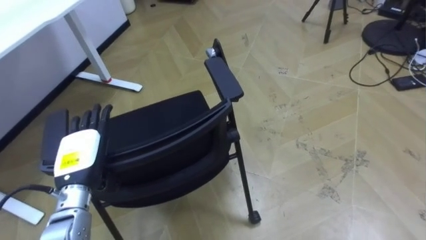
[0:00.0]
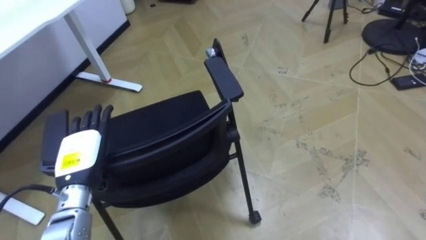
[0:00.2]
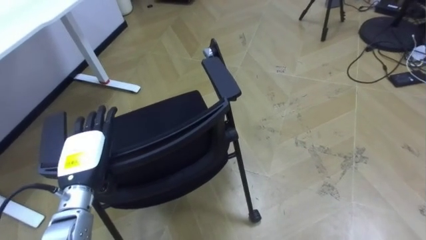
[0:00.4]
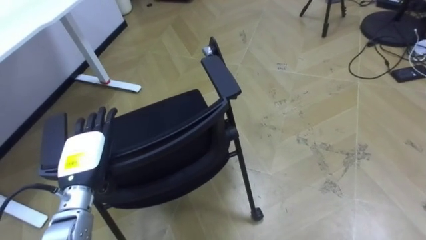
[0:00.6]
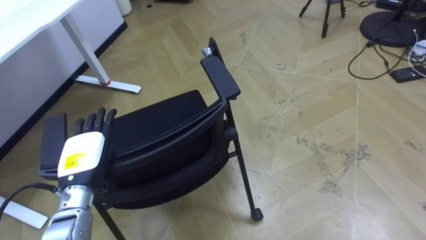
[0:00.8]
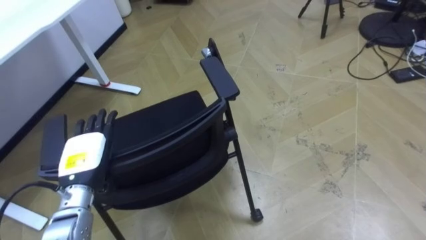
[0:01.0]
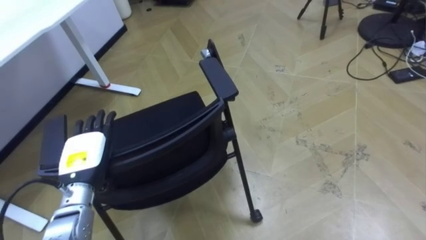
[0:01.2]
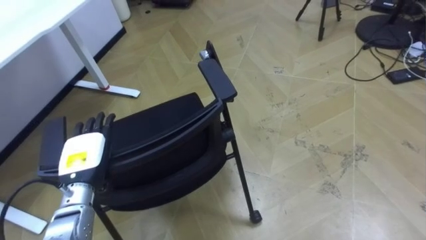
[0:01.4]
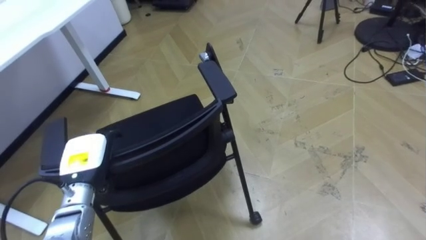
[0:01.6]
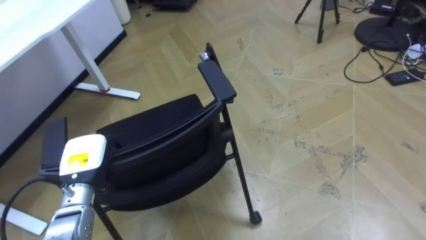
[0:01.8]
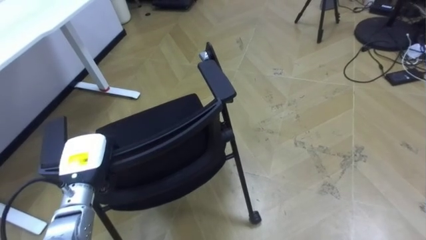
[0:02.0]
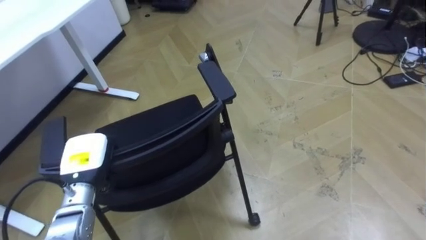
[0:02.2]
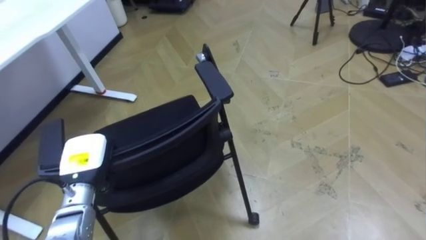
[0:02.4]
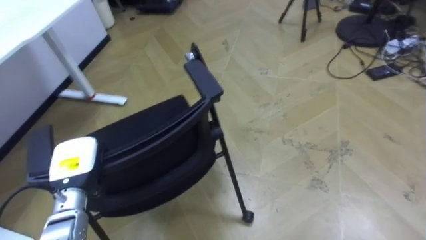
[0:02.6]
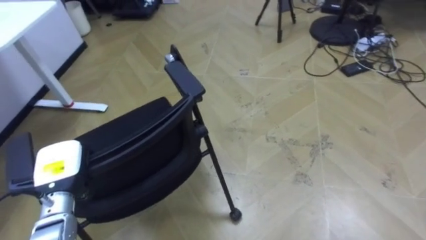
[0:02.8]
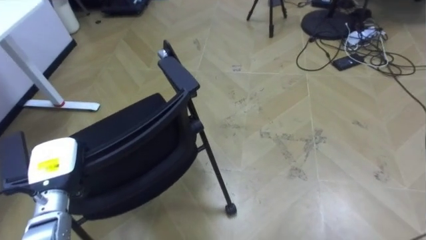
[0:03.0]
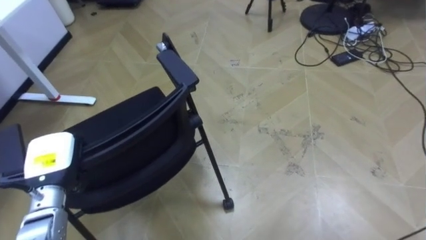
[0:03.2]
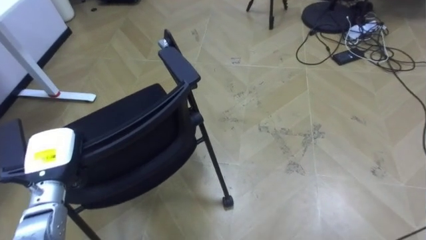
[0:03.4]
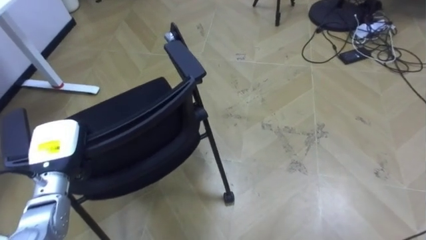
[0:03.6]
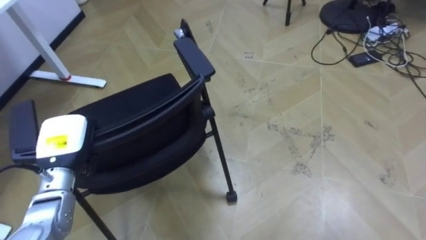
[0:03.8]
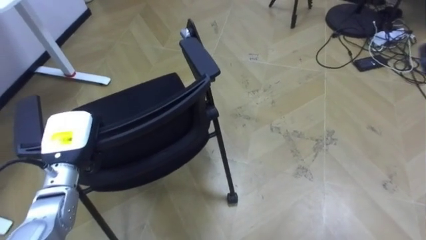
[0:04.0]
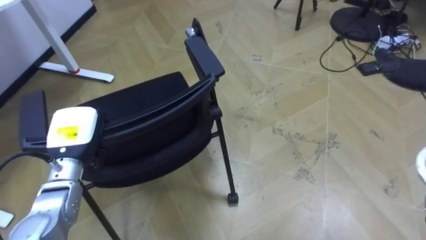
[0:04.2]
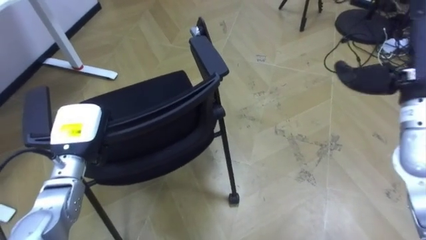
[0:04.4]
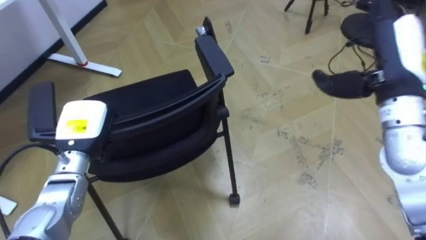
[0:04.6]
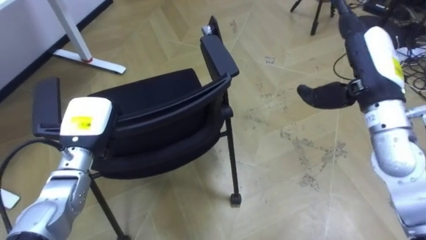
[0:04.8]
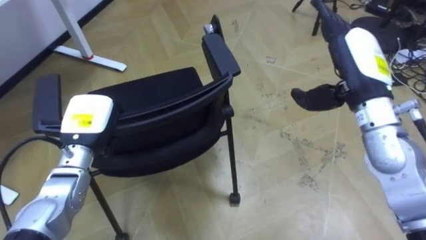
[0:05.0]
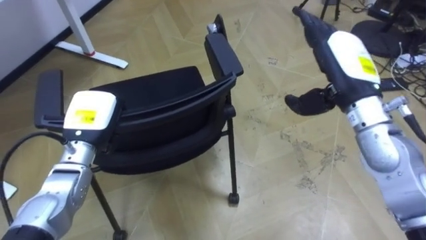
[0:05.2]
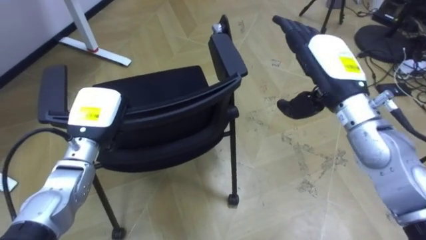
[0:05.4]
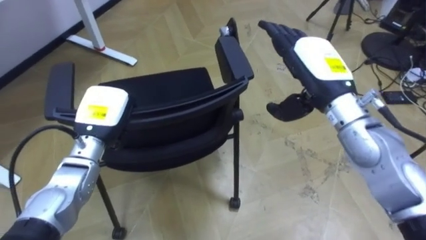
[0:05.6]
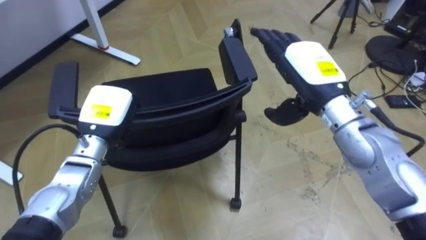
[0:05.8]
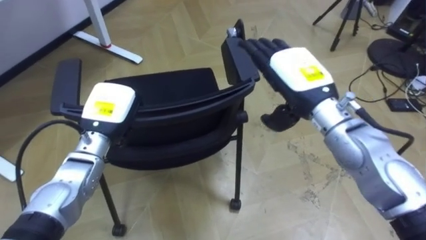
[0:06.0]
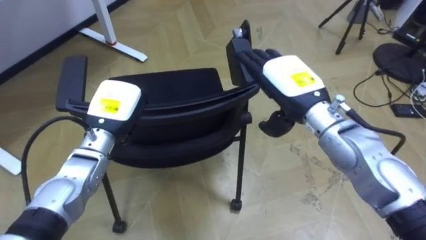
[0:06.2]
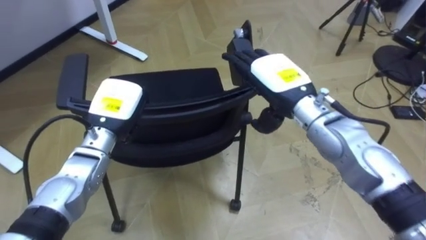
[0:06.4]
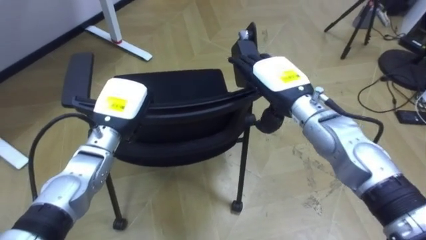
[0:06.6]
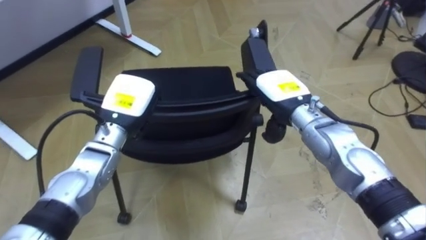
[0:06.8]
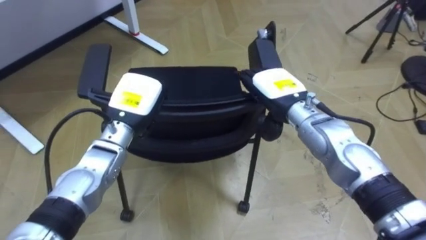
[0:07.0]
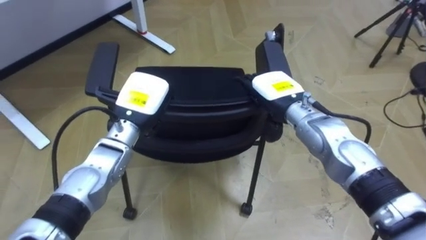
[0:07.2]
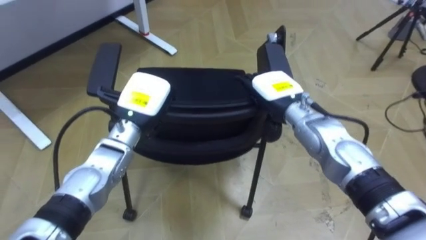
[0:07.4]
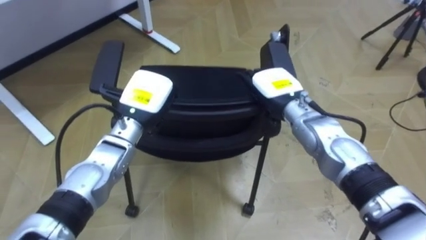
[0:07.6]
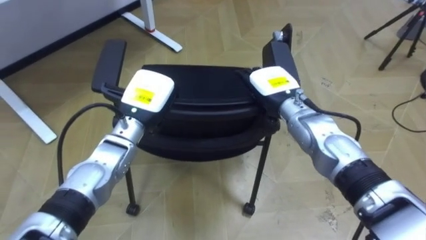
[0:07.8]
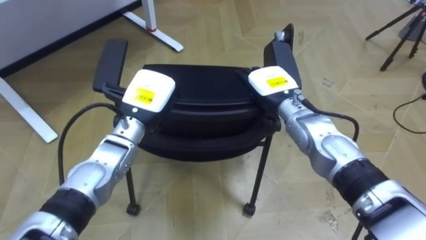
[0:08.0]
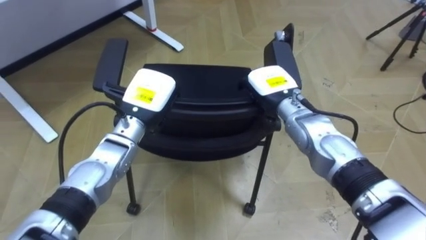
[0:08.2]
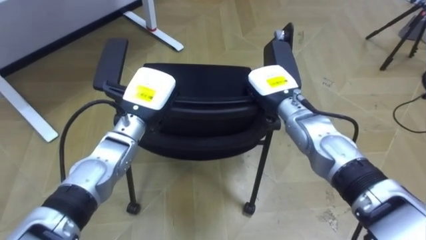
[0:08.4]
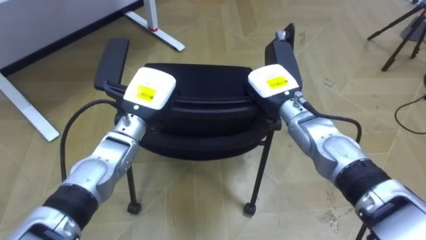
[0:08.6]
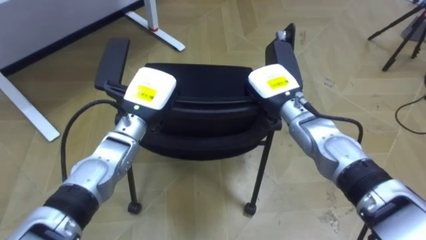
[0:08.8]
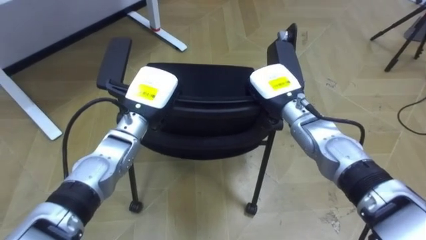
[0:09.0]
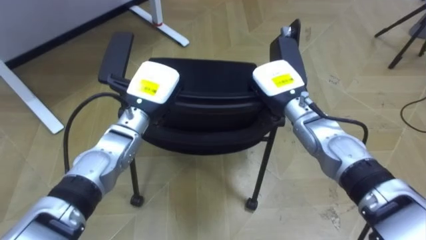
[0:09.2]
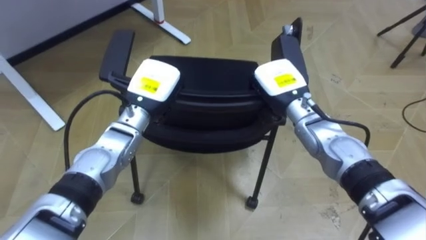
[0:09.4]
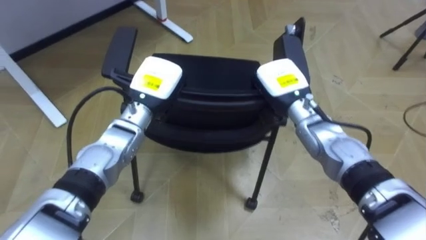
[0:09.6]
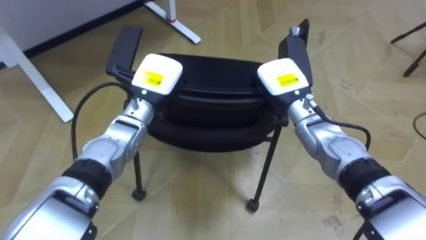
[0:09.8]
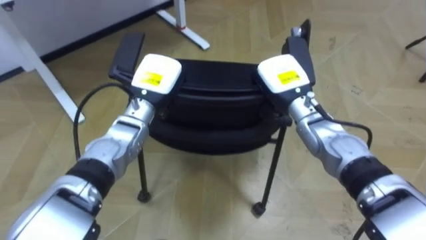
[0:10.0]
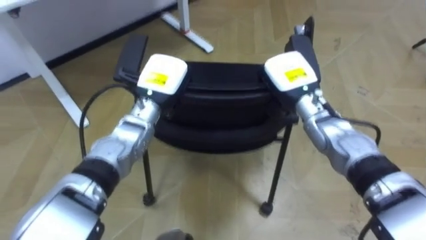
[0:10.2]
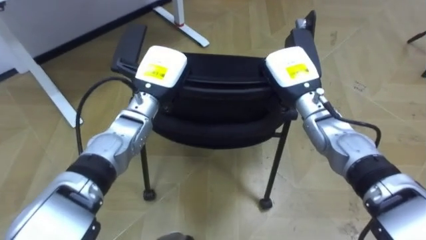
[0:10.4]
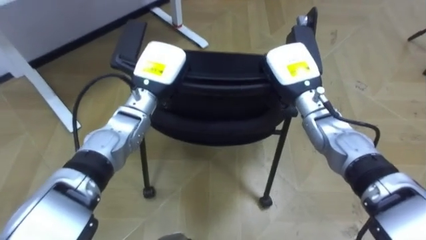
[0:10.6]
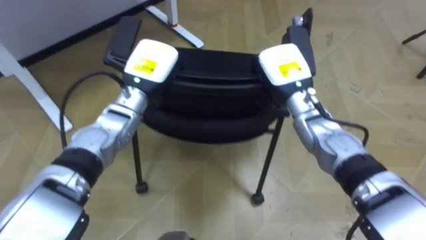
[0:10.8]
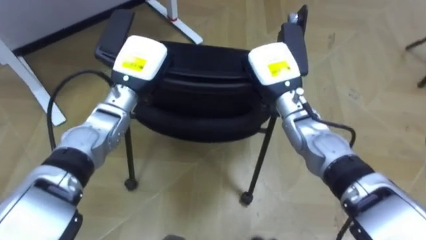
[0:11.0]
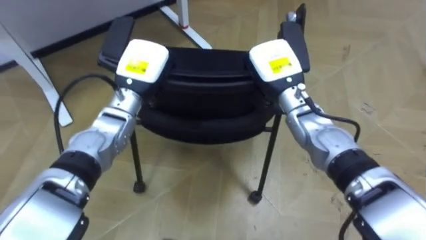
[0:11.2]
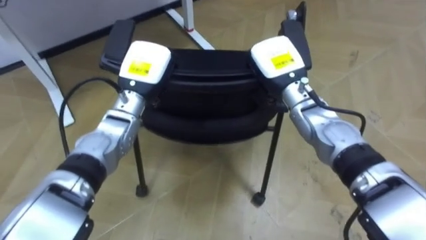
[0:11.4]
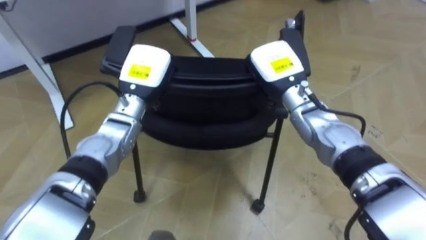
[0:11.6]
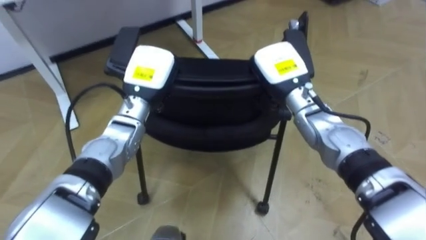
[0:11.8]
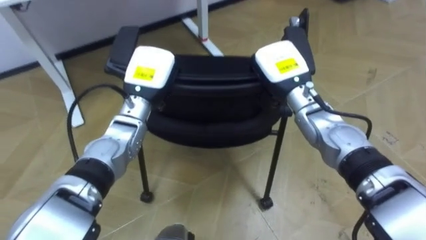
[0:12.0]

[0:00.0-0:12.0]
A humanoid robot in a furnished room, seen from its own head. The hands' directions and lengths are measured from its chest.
Task of the whole recording: Push the chair under the table.
0:01.6 to 0:03.0: The left hand closes its fingers.
0:03.0 to 0:04.4: The left hand moves forward, about 5 cm.
0:04.4 to 0:06.0: The right hand heads to the left, covering some 15 cm, while the left hand travels to the right by some 5 cm.
0:06.0 to 0:07.6: The right hand heads downward, covering about 10 cm; the left hand is displaced to the right by some 5 cm.
0:07.6 to 0:09.0: The right hand closes its fingers.

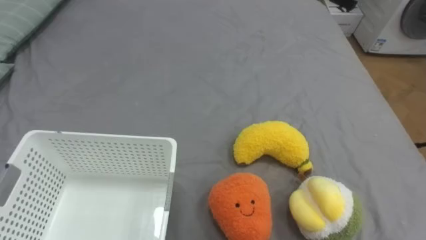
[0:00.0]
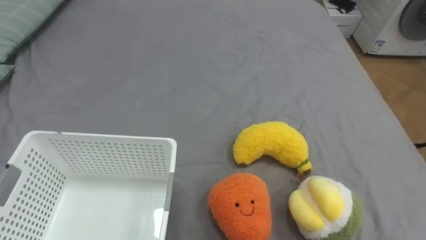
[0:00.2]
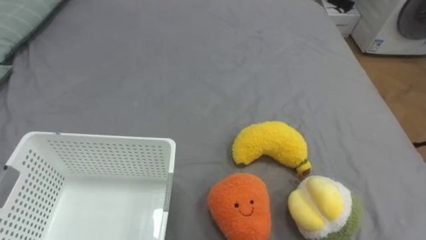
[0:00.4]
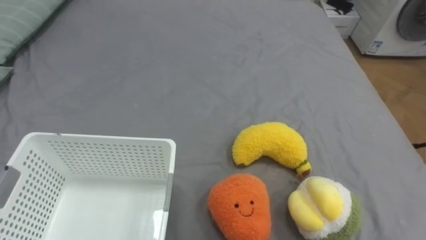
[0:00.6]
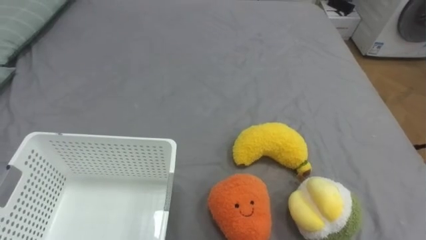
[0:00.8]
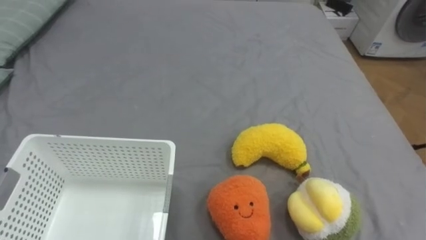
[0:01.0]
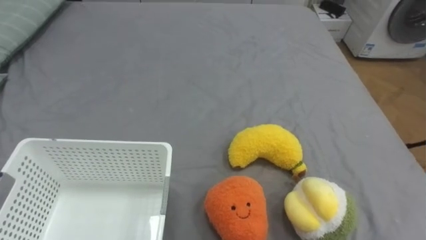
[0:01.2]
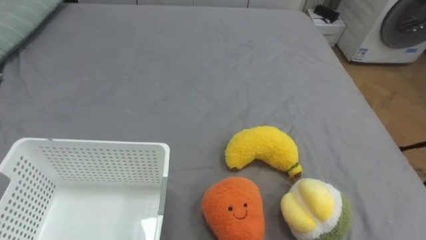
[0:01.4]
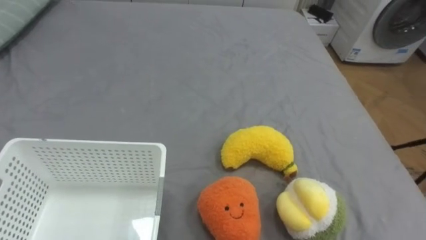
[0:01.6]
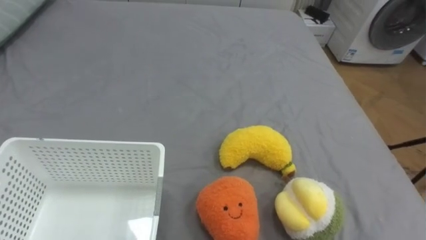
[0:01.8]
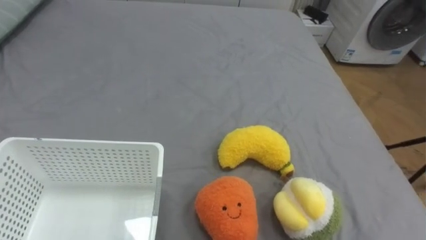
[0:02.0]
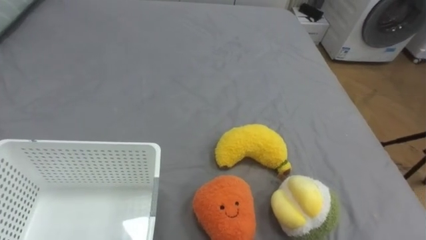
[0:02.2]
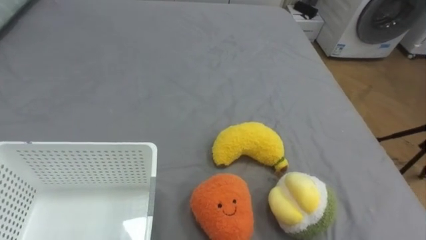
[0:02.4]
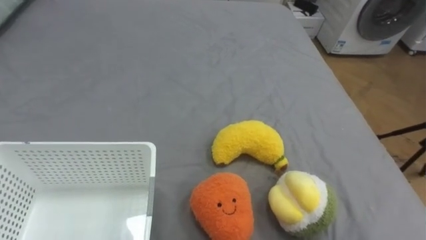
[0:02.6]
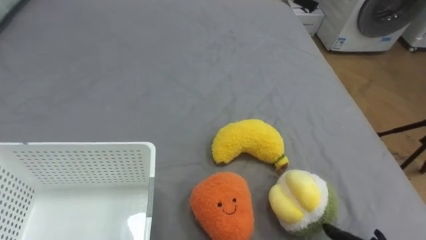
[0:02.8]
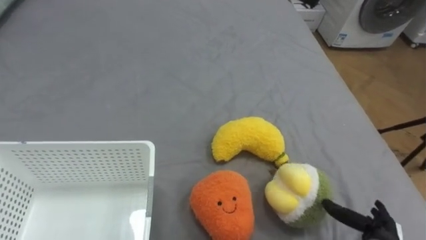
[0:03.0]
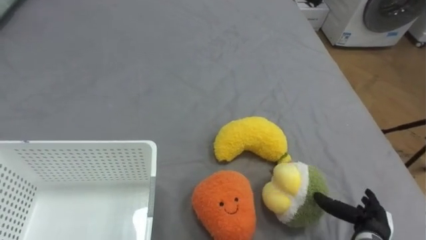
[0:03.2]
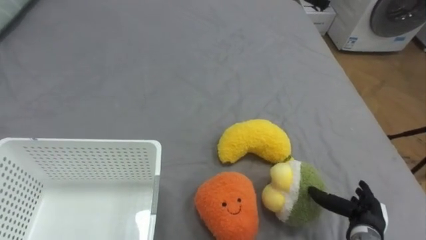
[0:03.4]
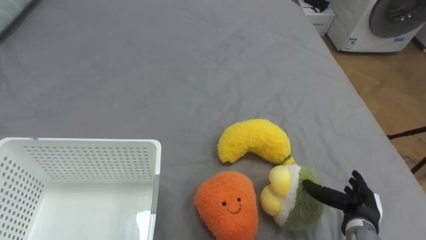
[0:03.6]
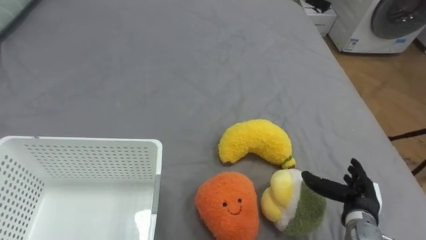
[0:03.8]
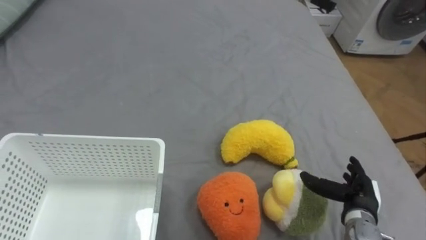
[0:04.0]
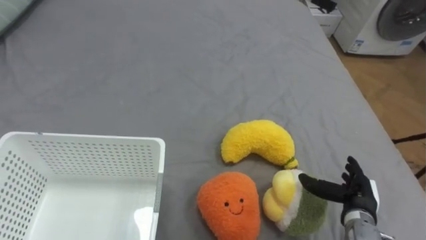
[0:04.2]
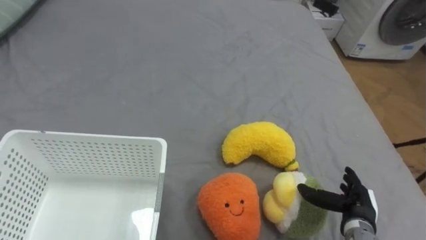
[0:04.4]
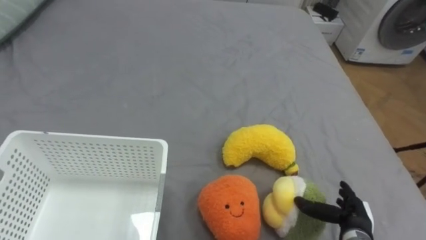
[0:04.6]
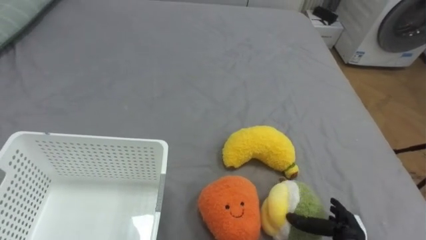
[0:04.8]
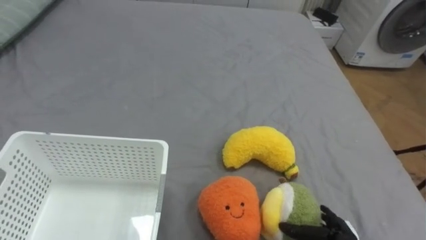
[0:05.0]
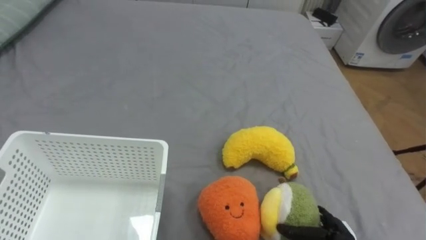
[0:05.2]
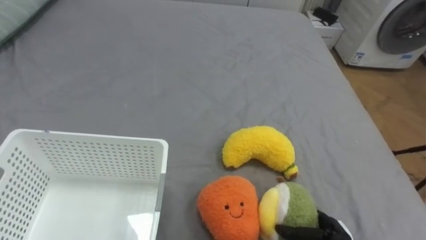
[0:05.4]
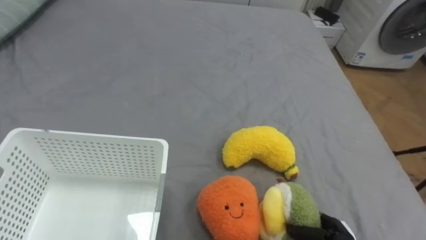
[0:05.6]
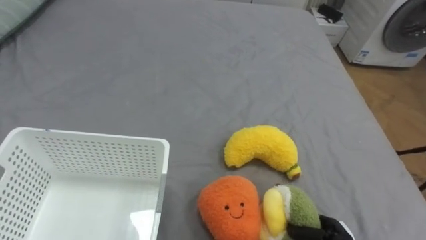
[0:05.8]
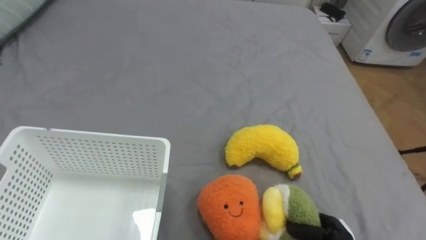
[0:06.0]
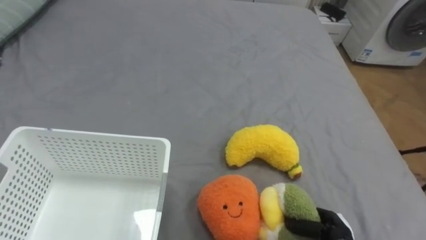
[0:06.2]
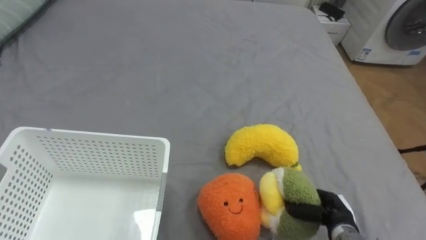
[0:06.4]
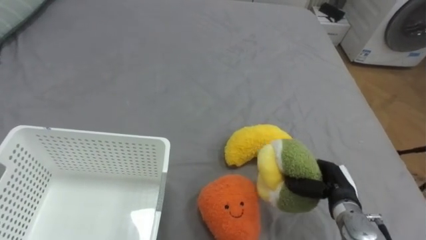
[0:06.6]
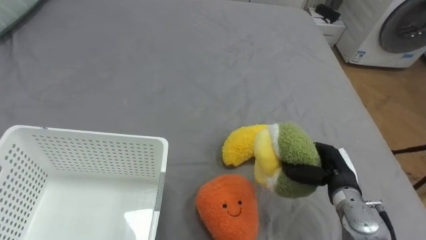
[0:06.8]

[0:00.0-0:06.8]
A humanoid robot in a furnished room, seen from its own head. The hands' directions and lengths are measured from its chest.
Task of the whole recording: Put the toys on the bed into the basket on the left.
0:04.0 to 0:05.4: The right hand is displaced downward and backward by roughly 10 cm.
0:05.4 to 0:06.8: The right hand travels upward and forward by roughly 15 cm, and closes.
